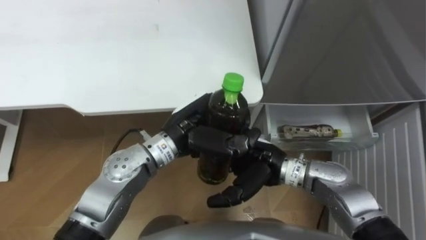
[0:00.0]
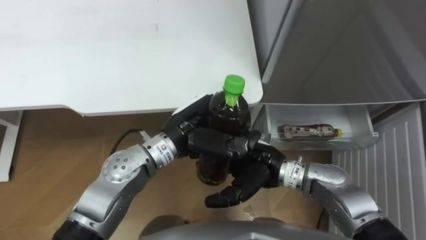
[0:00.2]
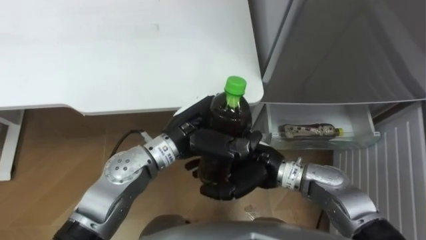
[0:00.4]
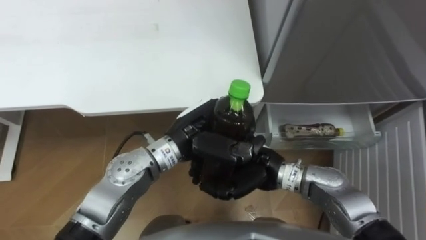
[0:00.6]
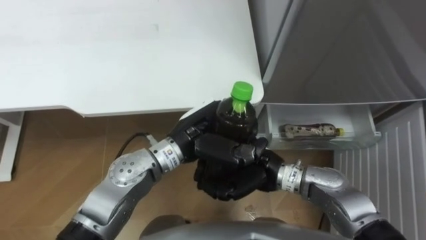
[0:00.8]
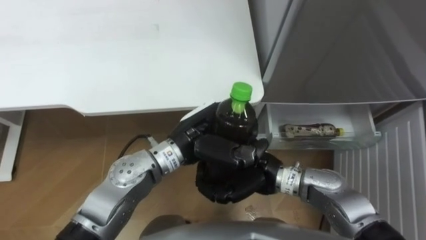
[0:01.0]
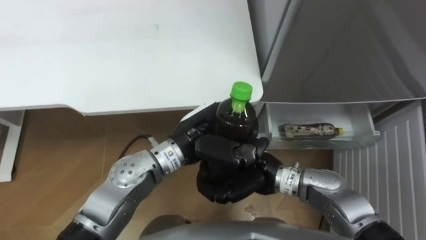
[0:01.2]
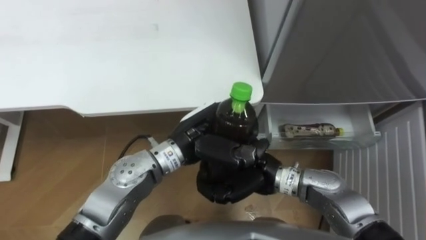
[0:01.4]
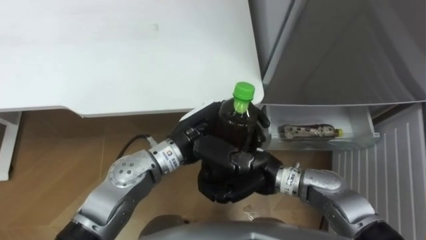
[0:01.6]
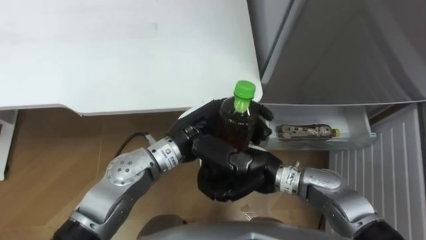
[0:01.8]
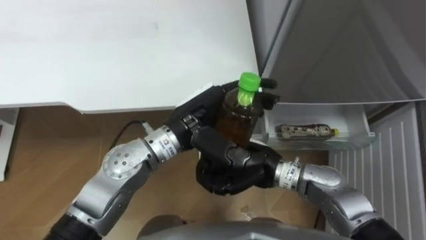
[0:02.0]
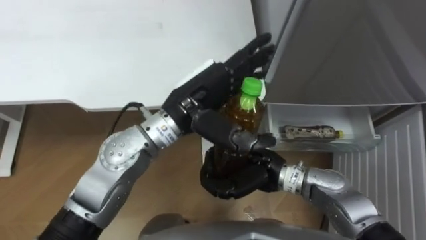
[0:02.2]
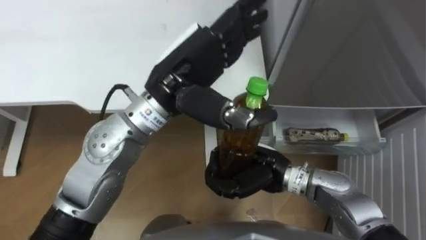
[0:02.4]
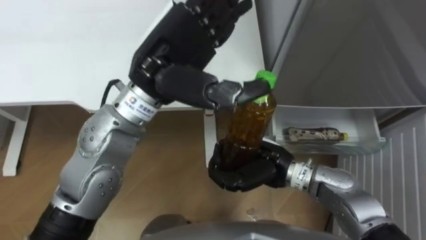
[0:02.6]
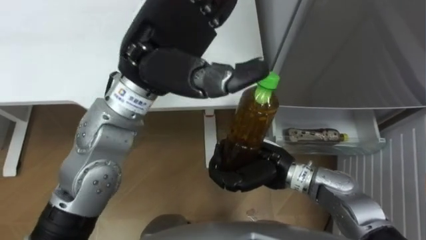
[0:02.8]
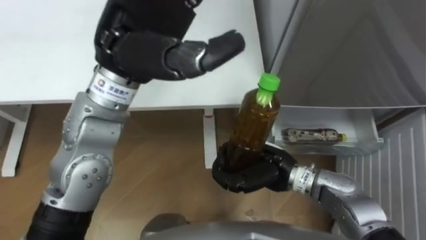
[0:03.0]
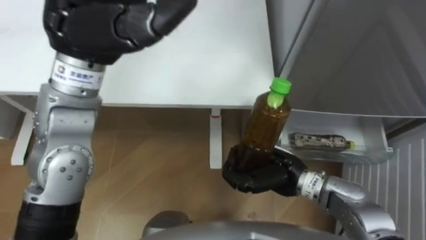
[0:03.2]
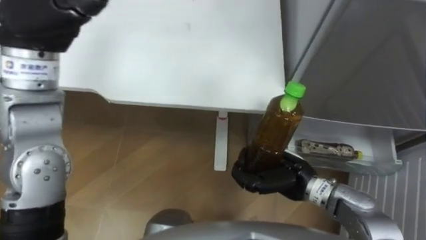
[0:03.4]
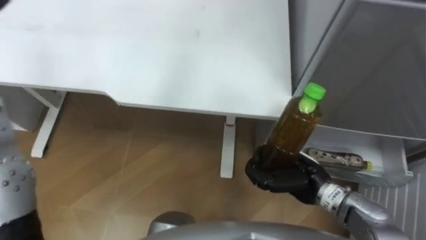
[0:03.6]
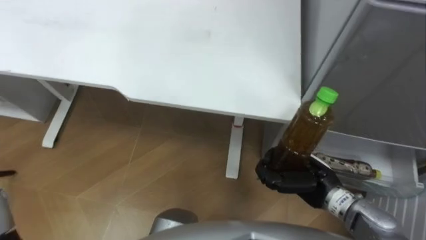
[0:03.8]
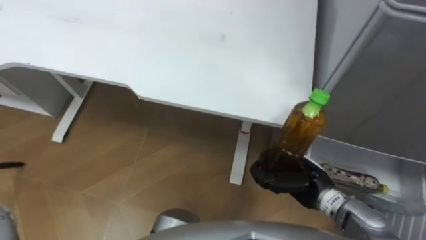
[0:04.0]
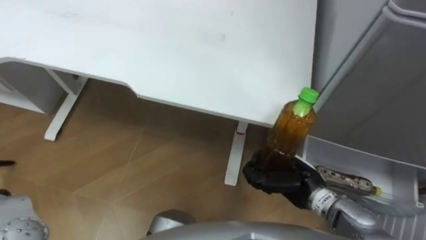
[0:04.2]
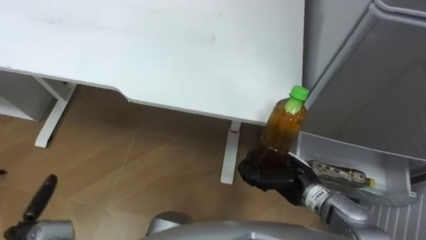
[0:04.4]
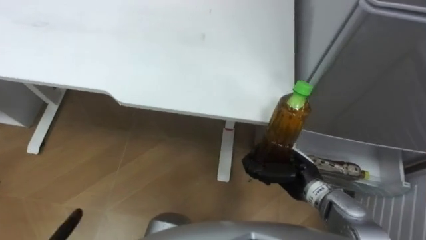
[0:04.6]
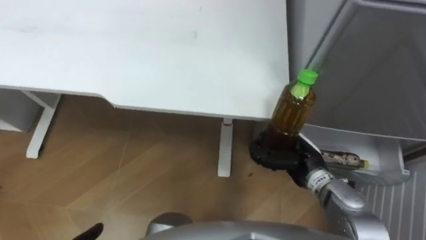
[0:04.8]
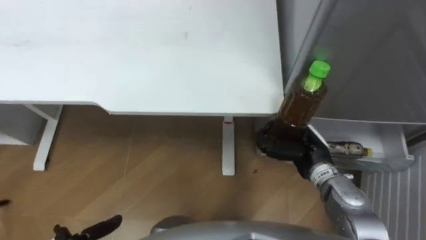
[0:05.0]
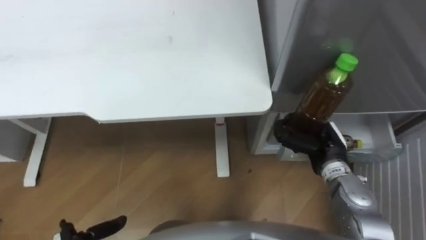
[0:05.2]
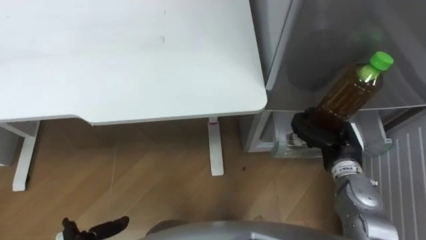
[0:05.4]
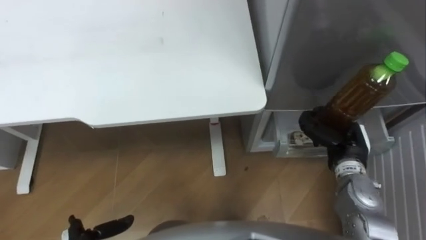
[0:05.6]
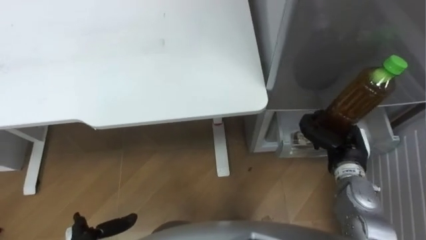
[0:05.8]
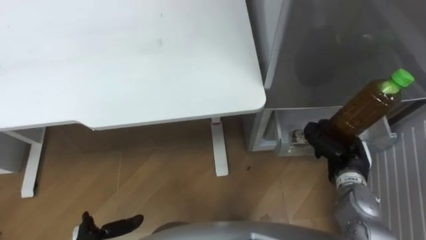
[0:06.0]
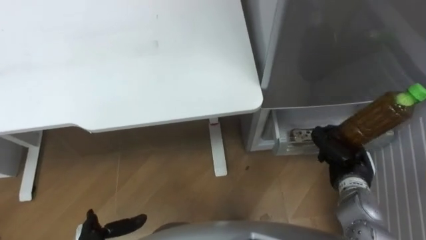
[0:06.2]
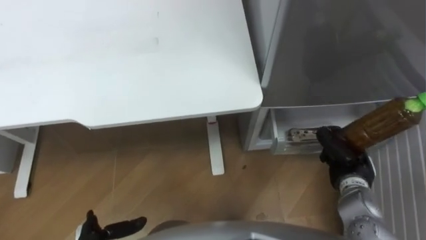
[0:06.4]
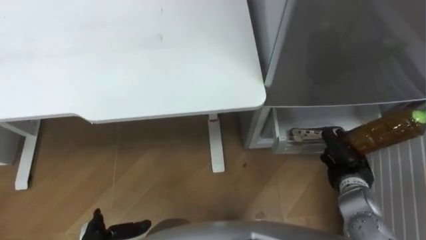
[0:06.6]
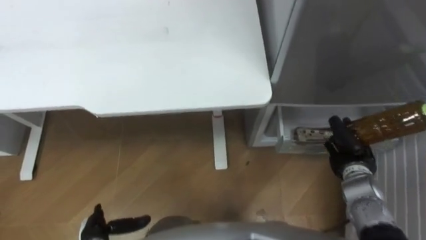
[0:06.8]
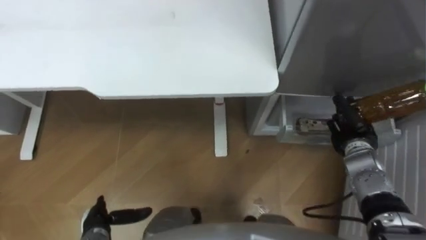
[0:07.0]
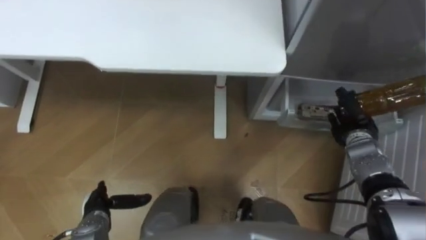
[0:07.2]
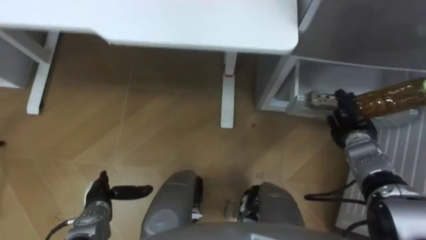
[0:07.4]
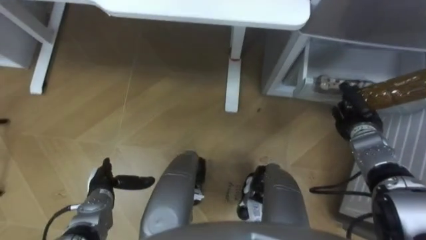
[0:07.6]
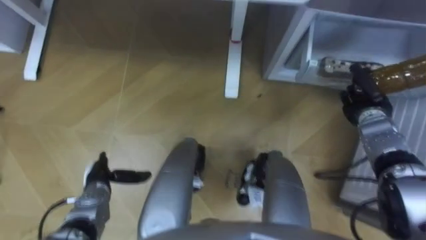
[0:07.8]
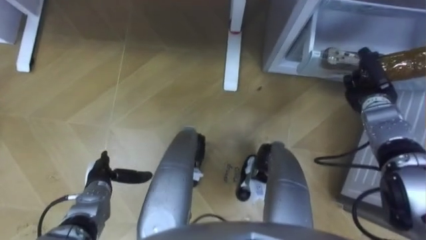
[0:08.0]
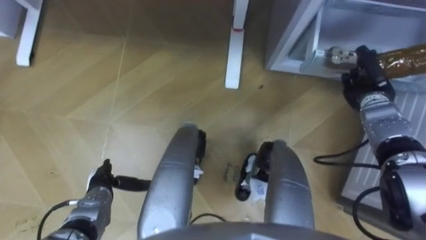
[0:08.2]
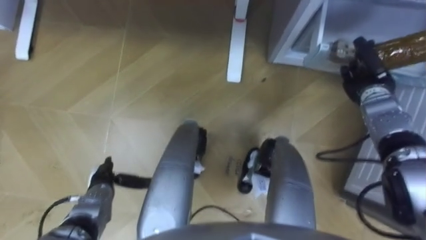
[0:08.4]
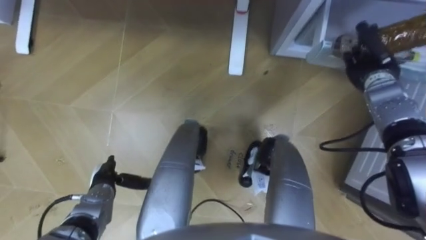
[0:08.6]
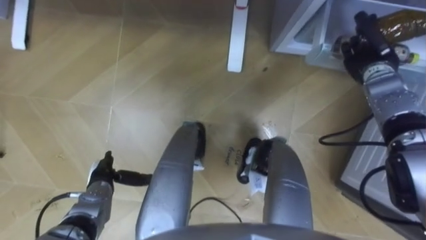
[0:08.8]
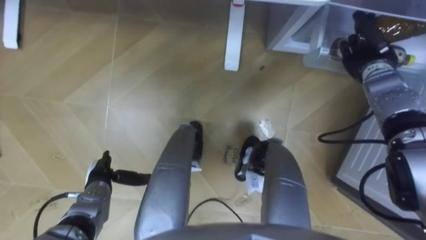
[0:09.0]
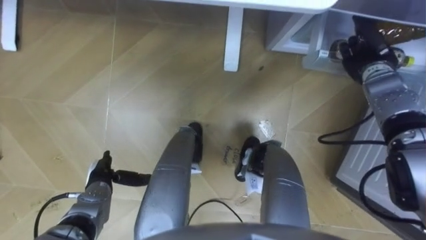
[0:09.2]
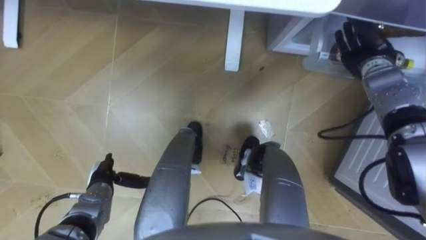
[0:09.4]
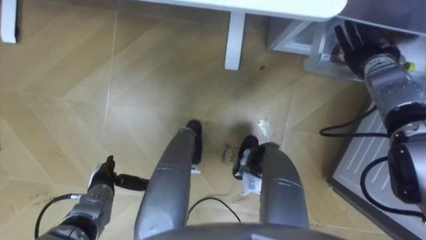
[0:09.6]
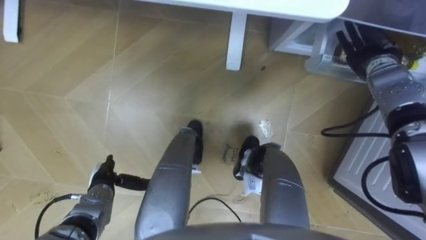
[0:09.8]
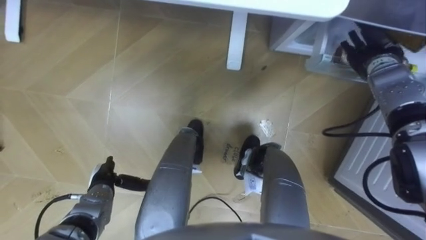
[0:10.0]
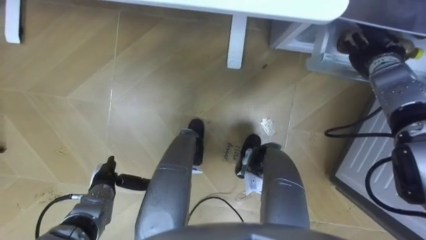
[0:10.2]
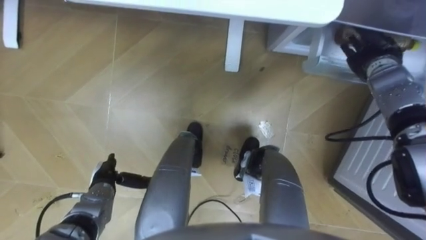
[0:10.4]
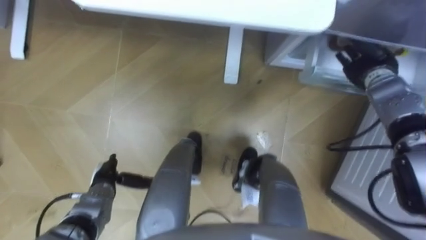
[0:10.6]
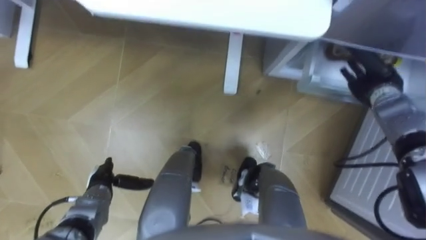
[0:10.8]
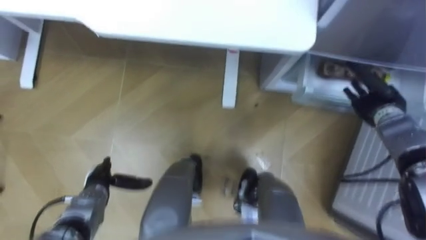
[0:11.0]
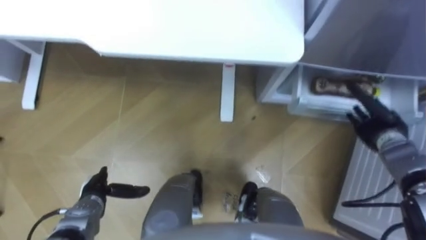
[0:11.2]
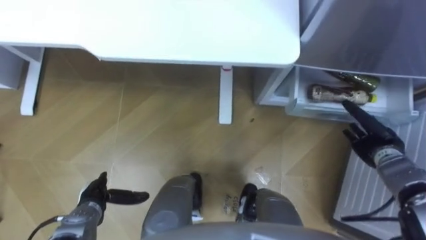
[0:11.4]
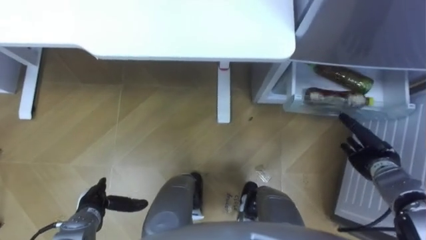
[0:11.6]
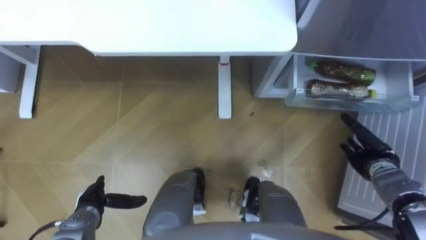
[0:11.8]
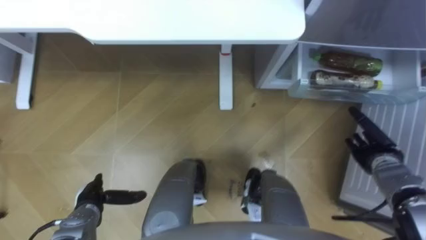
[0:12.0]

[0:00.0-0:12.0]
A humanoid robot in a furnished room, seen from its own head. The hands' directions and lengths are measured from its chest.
Task of the whole recording: Place the drink on the table on the bottom shelf of the refrigerator, then close the drawer and the refrigerator door.
0:00.0 to 0:01.6: The right hand closes.
0:01.6 to 0:03.0: The left hand is displaced upward by some 20 cm, and opens.
0:03.0 to 0:04.4: The right hand shifts approximately 5 cm to the right.
0:04.4 to 0:06.0: The right hand moves to the right, roughly 10 cm.
0:06.0 to 0:07.6: The right hand shifts about 10 cm forward.
0:07.6 to 0:09.0: The right hand heads upward and forward, covering approximately 15 cm.
0:09.0 to 0:10.4: The right hand opens.
0:10.4 to 0:12.0: The right hand travels backward and downward by roughly 20 cm, while the left hand shifts by some 5 cm.

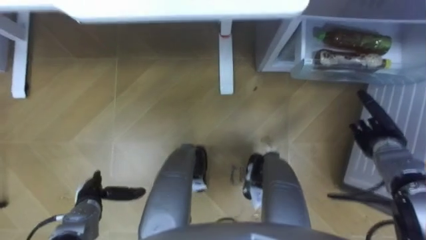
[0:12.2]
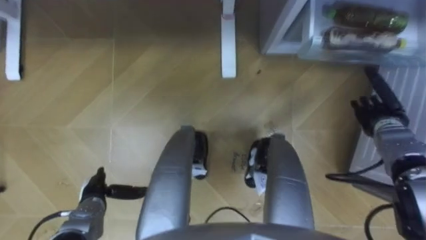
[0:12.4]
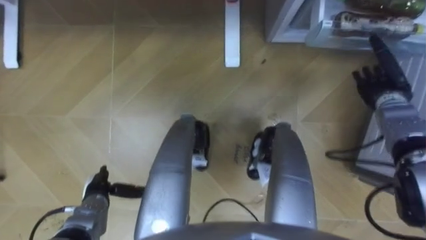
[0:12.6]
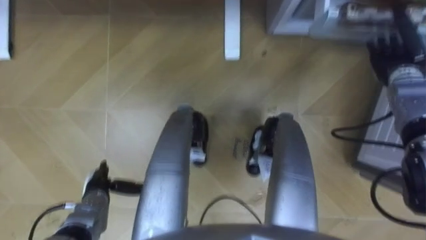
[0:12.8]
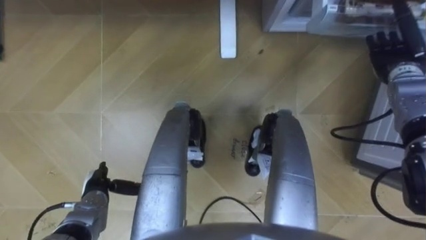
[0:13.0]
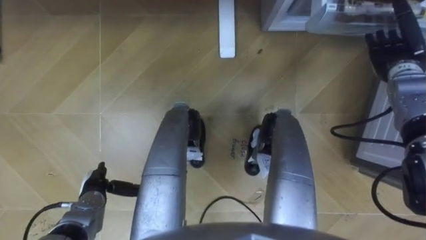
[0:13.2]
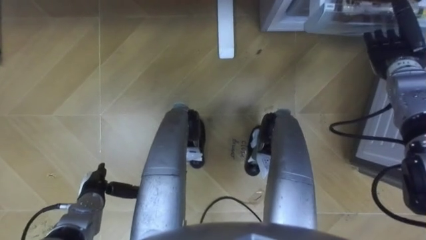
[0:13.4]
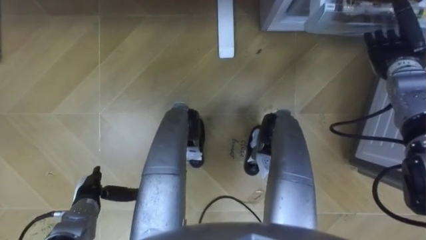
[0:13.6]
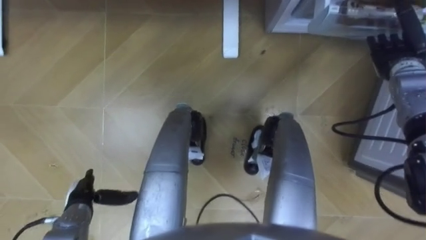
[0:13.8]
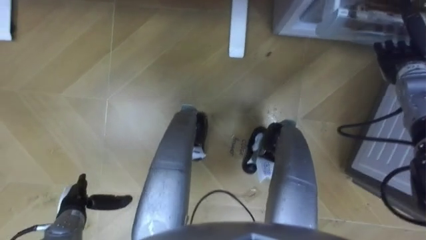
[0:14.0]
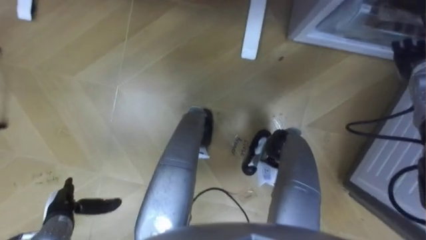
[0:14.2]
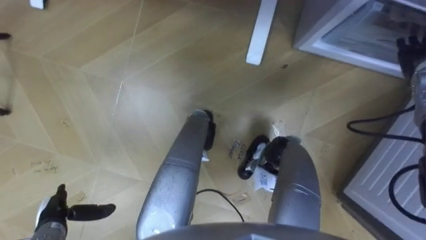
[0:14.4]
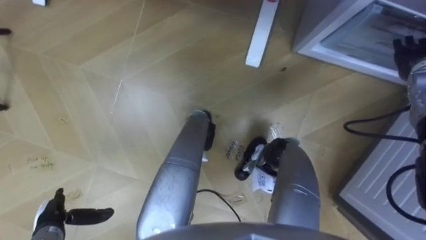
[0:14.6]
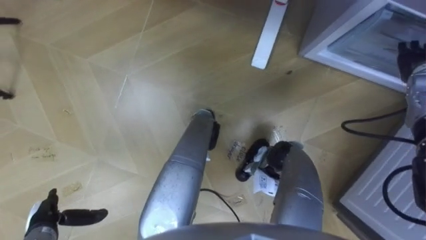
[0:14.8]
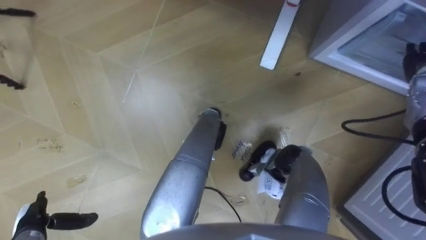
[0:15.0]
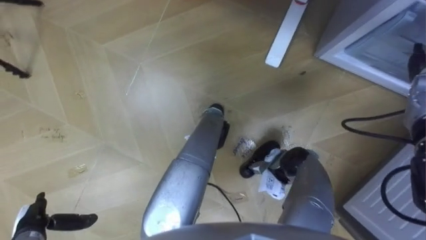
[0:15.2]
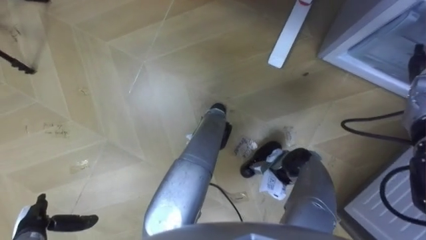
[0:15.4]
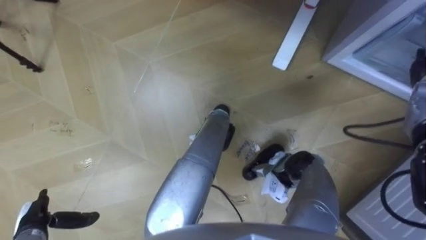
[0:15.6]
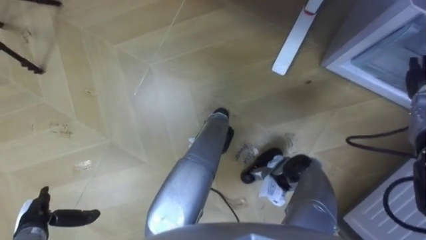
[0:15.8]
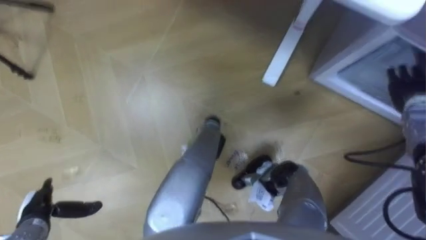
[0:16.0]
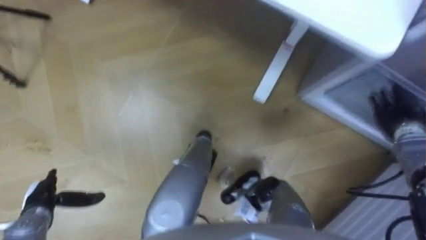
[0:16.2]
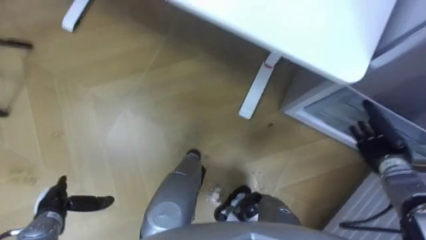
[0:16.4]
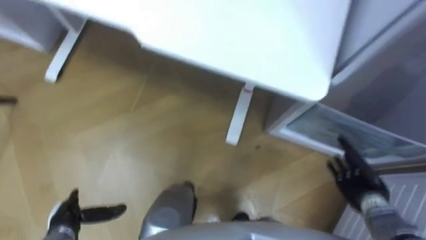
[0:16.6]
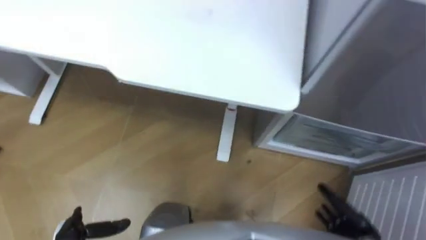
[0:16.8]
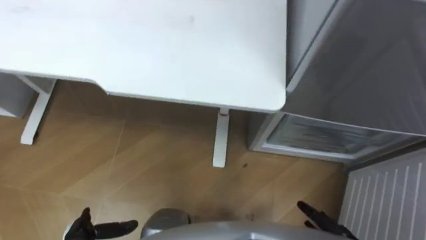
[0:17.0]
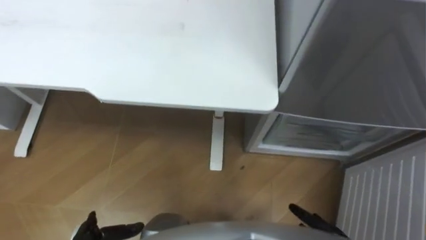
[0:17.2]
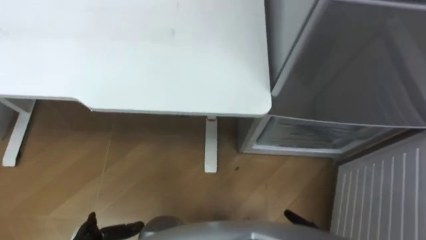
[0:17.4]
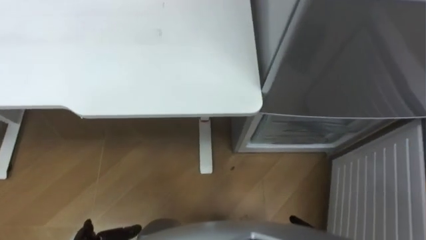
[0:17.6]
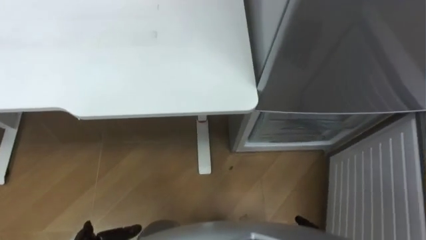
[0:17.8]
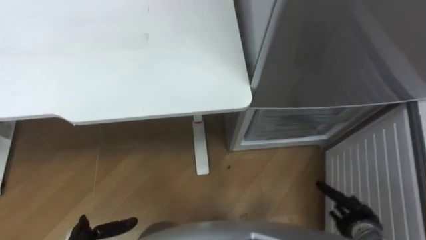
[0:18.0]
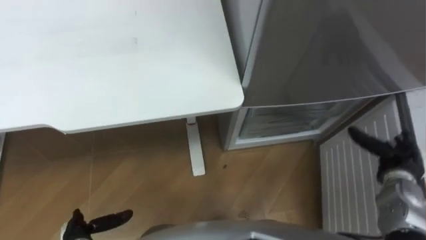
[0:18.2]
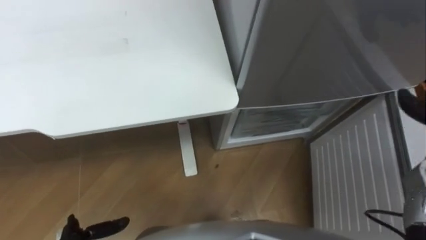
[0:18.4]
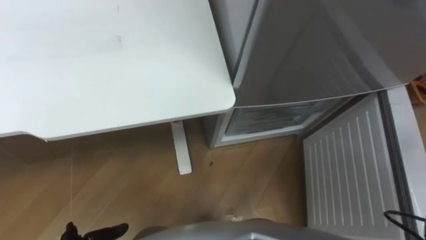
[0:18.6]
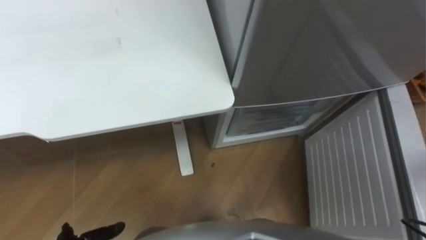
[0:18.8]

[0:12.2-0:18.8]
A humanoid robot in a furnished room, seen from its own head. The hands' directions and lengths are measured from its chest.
Task of the whole recording: Place the drink on the table on the bottom shelf of the refrigerator, then close the drawer and the refrigerator door.
0:12.2 to 0:13.8: The right hand travels upward and forward by roughly 20 cm.
0:13.8 to 0:15.4: The left hand heads to the left and backward, covering approximately 10 cm.
